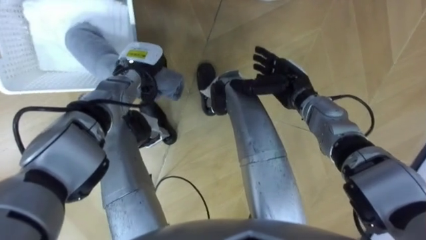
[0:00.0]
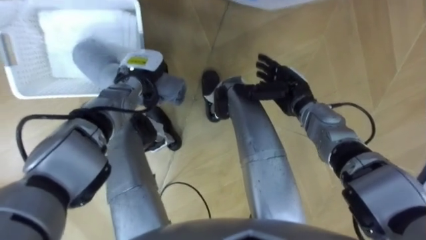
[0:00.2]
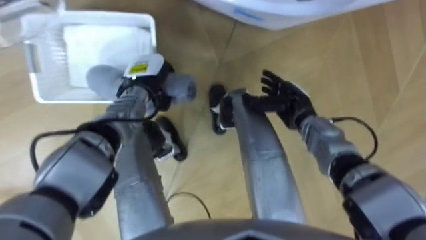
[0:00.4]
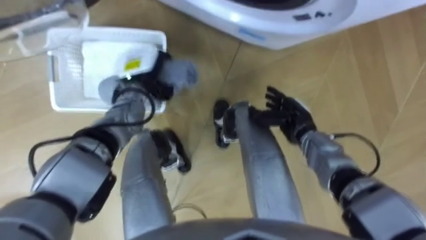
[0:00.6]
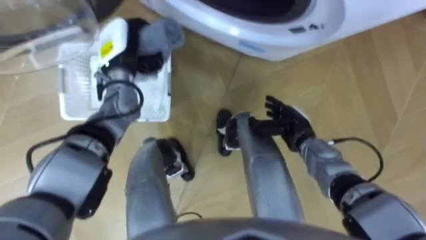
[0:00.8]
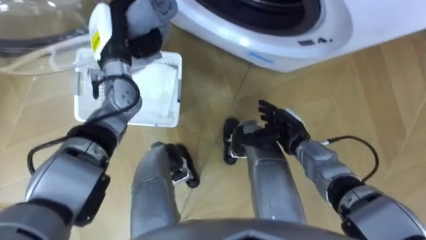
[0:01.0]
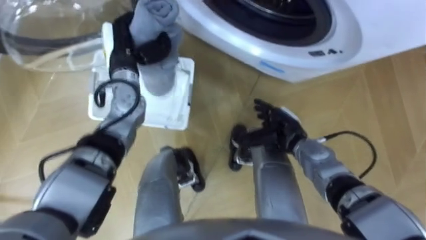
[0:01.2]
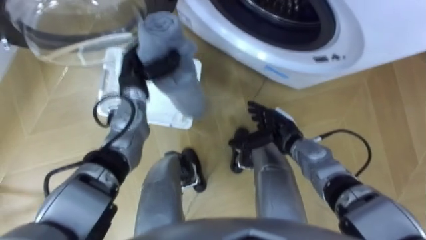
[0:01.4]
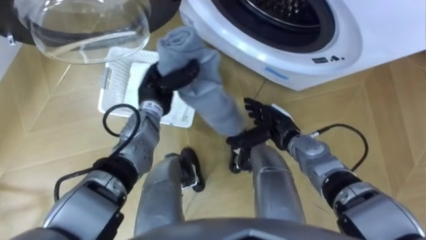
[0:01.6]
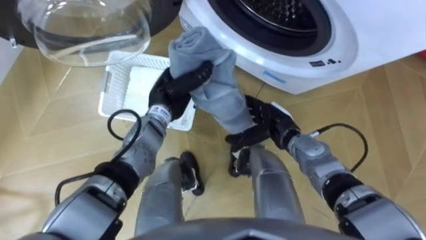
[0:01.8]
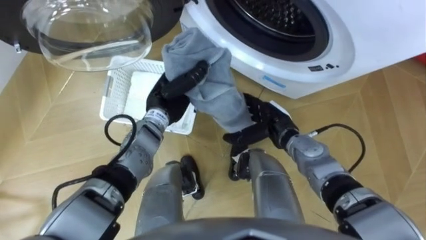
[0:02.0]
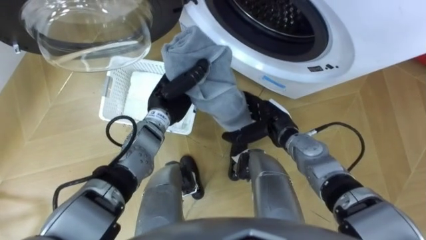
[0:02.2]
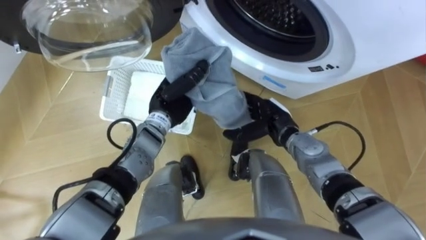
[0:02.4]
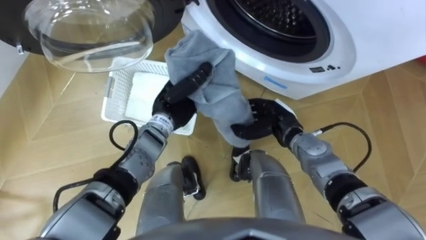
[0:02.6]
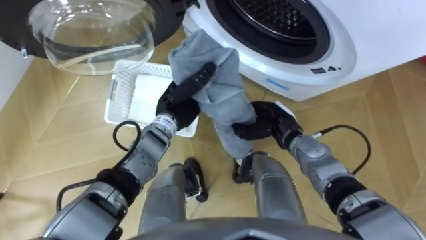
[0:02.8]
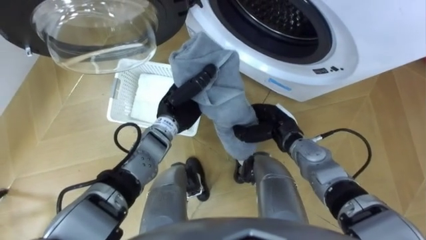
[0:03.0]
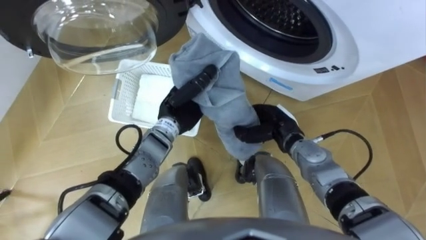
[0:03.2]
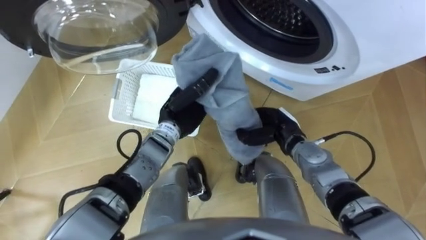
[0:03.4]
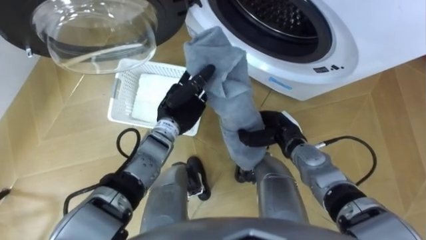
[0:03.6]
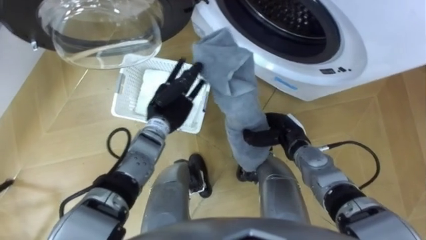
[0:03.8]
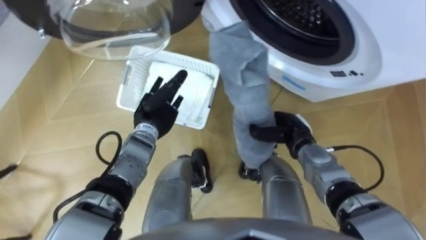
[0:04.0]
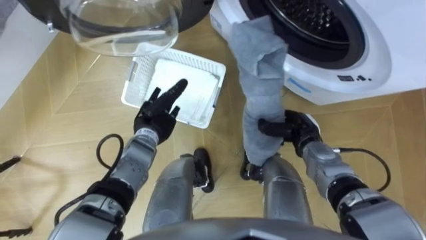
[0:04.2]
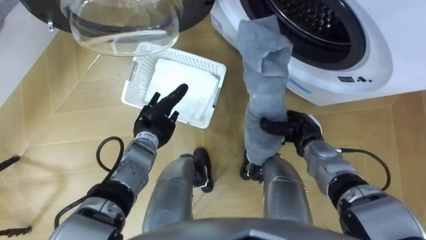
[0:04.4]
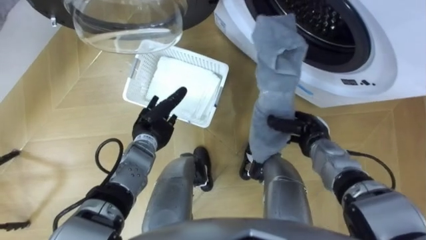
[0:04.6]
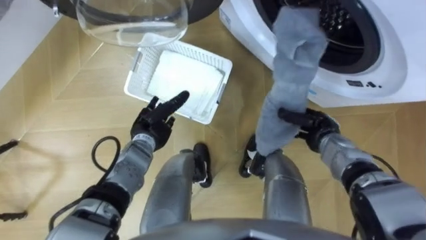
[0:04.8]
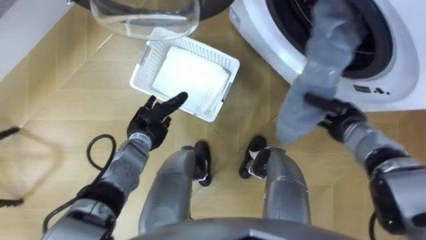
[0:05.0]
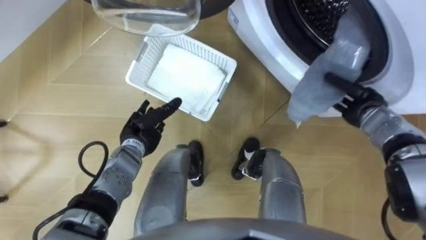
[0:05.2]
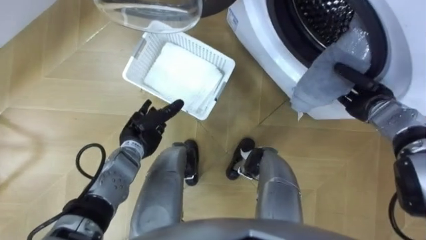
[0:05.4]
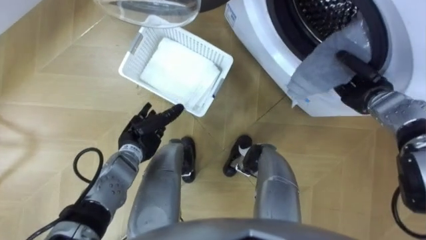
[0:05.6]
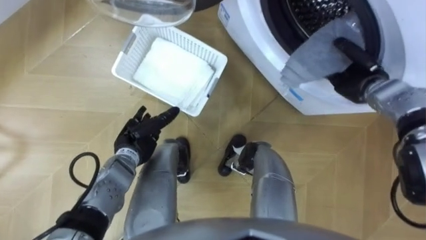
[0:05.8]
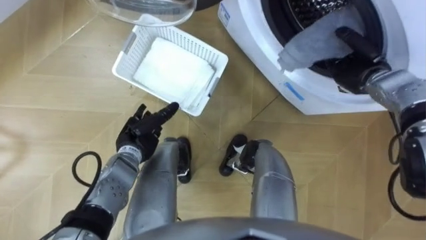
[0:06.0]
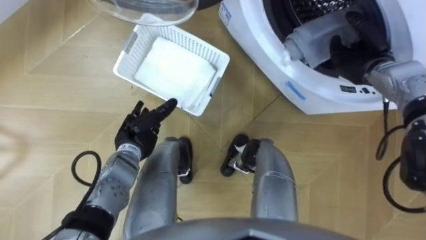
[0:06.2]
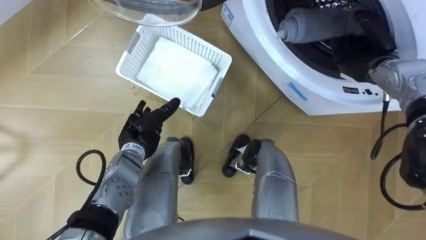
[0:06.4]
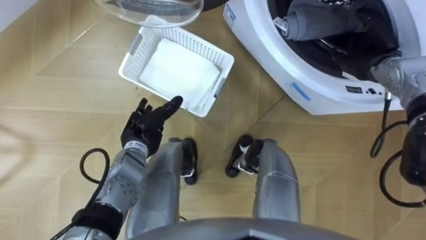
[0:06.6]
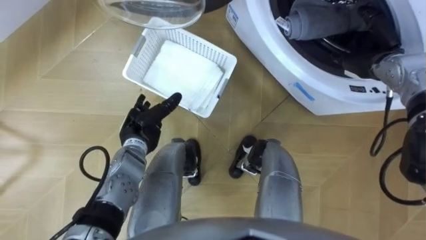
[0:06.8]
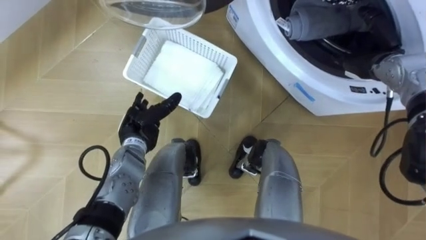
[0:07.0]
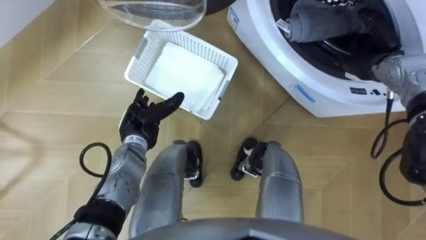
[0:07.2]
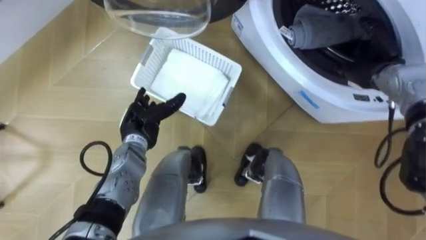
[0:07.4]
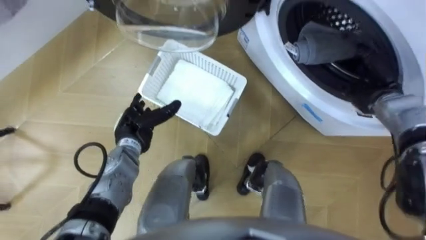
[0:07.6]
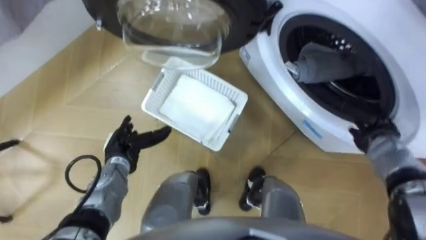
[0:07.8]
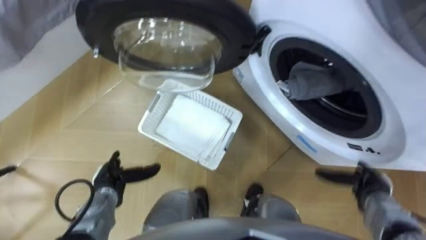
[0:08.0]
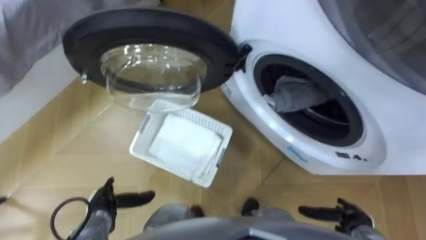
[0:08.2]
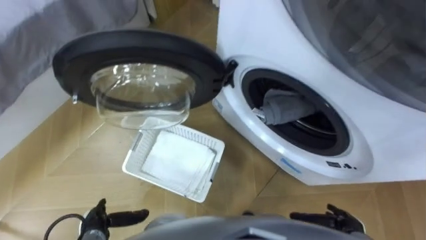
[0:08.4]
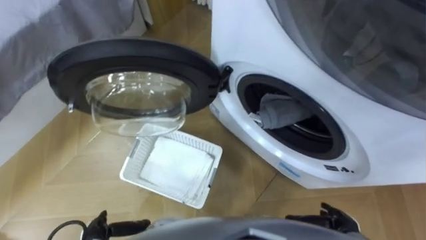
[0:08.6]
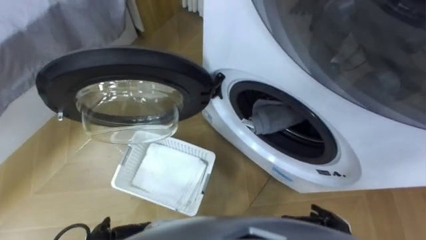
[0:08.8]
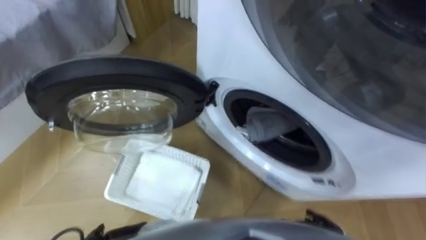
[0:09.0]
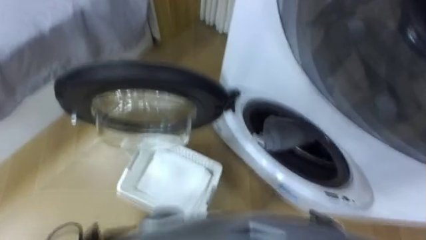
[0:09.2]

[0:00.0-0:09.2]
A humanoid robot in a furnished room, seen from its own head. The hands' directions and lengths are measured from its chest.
Task of the whole recording: Take the towel from the basket and put it into the washing machine.
0:00.0 to 0:01.6: The left hand goes upward and returns, roughly 10 cm each way, while the right hand shifts approximately 10 cm backward and downward.
0:01.6 to 0:03.0: The right hand closes. Meanwhile the left hand heads to the right, covering some 5 cm.
0:03.0 to 0:04.6: The right hand goes approximately 10 cm to the right, while the left hand travels to the left and downward by about 10 cm, and opens up.
0:04.6 to 0:06.2: The right hand goes approximately 20 cm upward, forward and to the right, and opens up.
0:06.2 to 0:07.6: The right hand ends up roughly 5 cm from where it was.

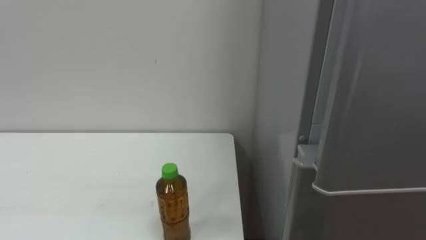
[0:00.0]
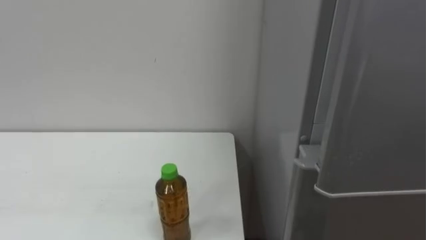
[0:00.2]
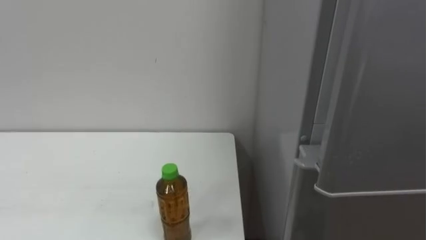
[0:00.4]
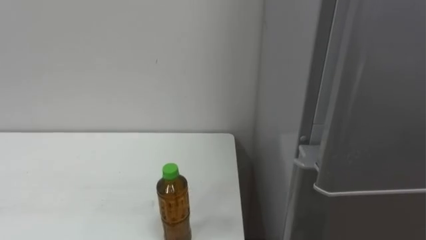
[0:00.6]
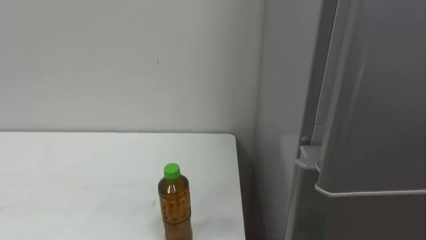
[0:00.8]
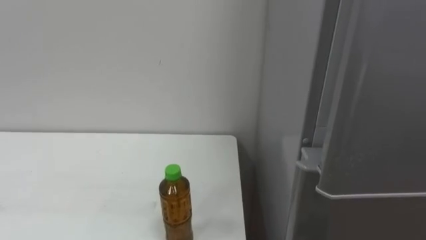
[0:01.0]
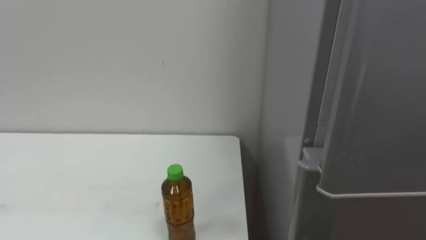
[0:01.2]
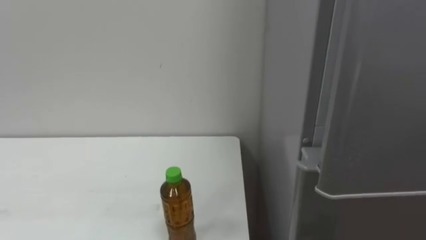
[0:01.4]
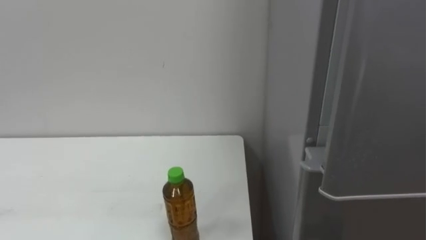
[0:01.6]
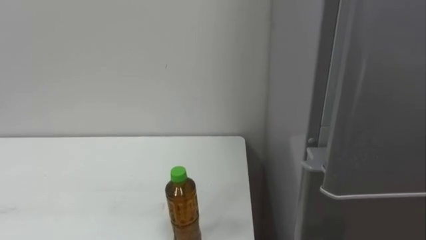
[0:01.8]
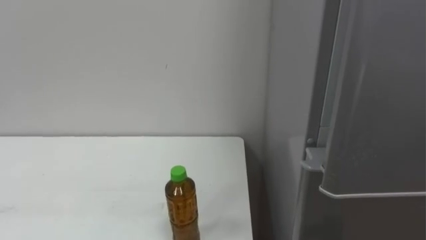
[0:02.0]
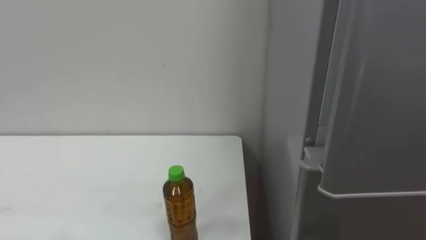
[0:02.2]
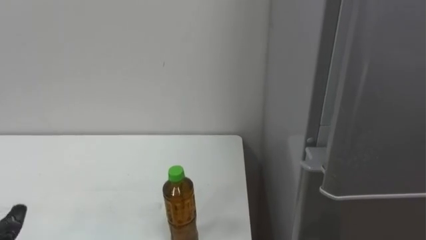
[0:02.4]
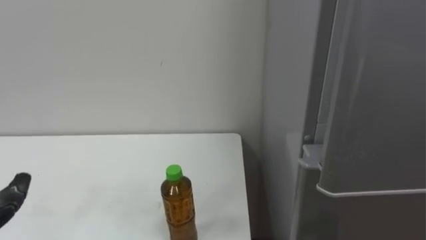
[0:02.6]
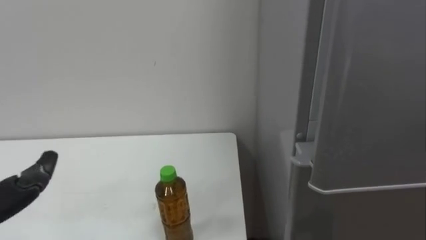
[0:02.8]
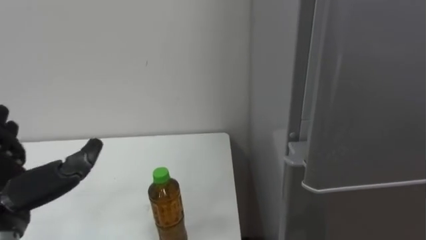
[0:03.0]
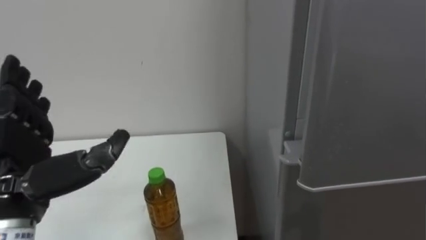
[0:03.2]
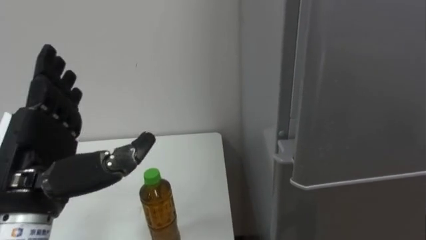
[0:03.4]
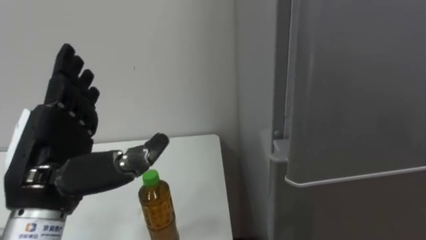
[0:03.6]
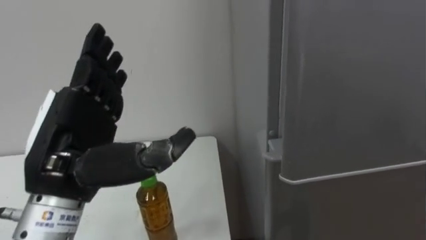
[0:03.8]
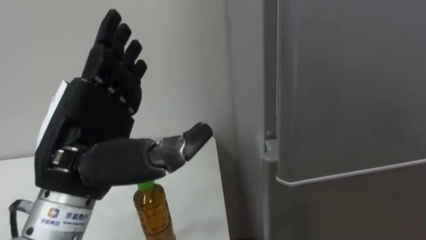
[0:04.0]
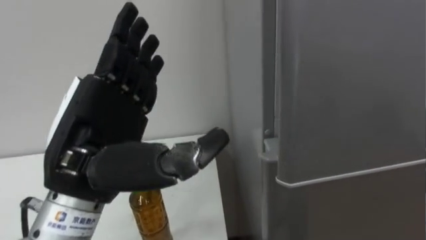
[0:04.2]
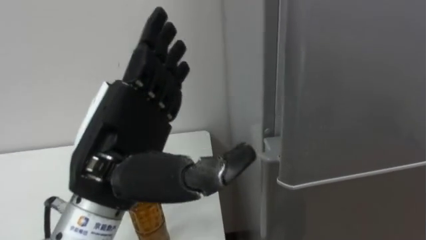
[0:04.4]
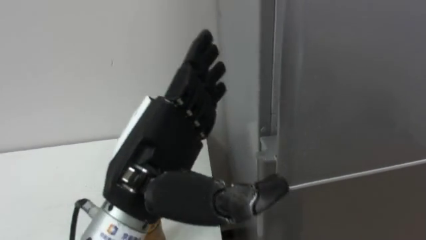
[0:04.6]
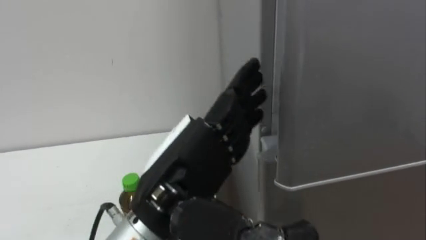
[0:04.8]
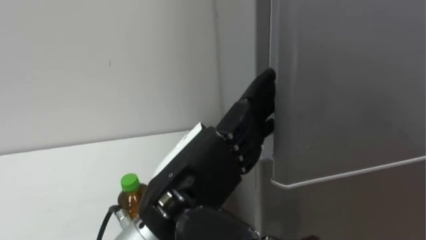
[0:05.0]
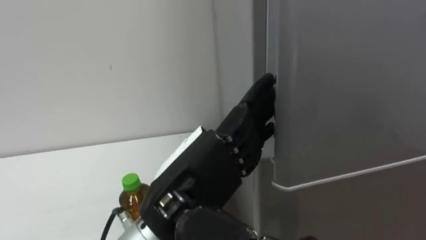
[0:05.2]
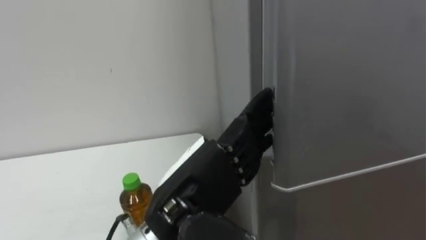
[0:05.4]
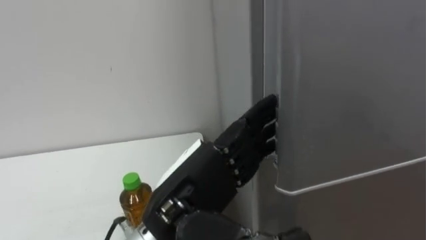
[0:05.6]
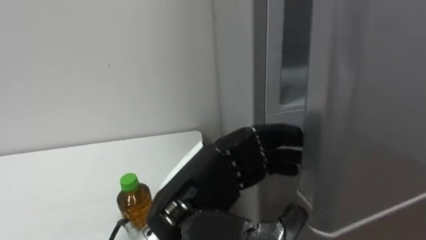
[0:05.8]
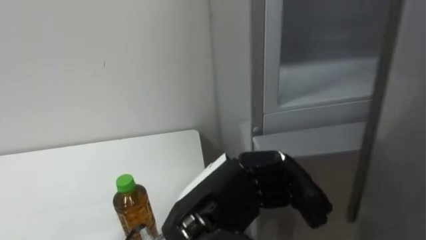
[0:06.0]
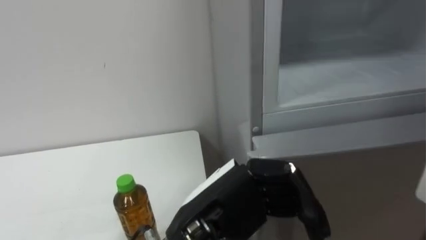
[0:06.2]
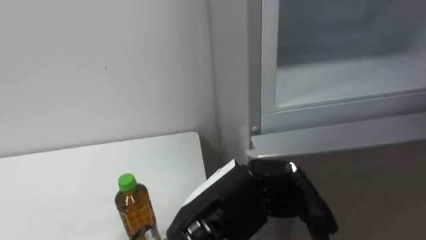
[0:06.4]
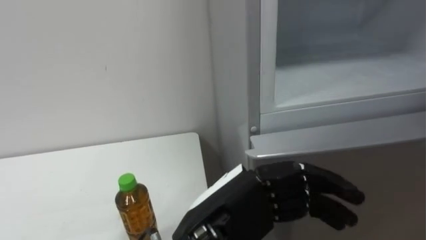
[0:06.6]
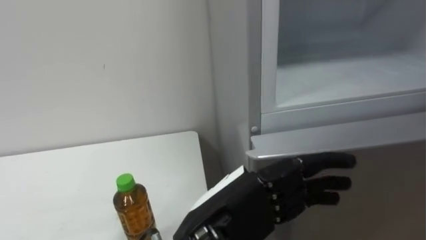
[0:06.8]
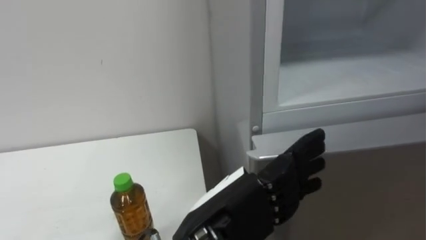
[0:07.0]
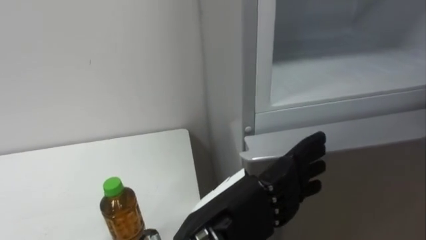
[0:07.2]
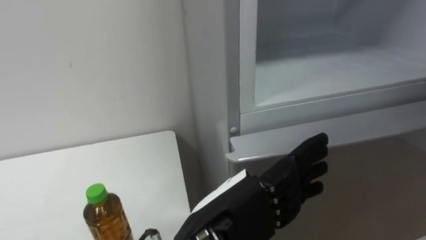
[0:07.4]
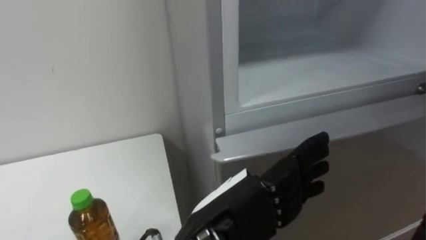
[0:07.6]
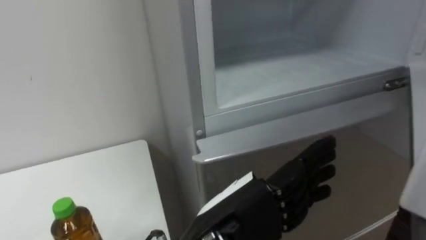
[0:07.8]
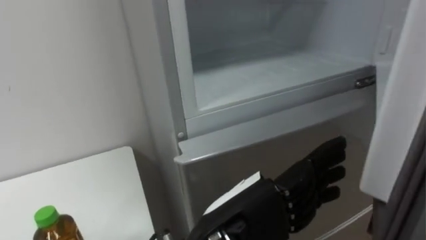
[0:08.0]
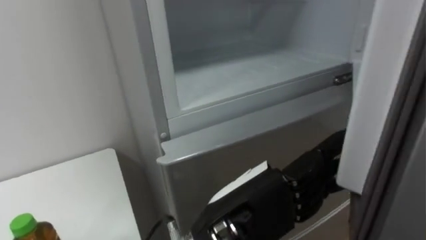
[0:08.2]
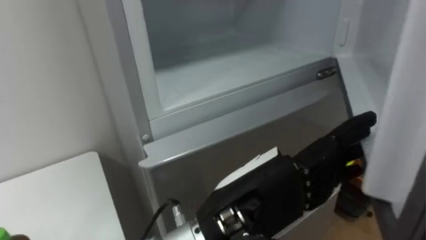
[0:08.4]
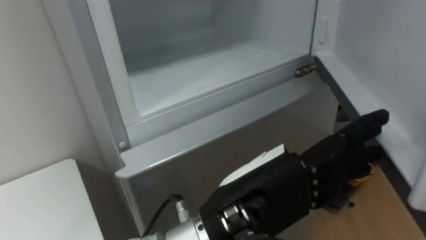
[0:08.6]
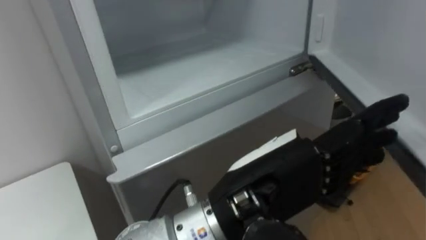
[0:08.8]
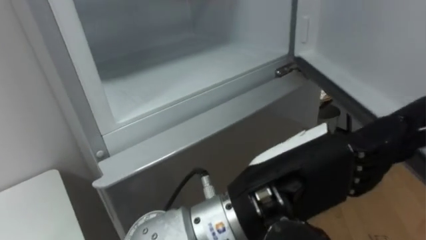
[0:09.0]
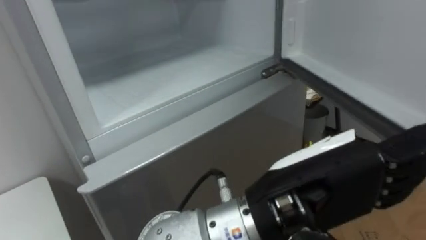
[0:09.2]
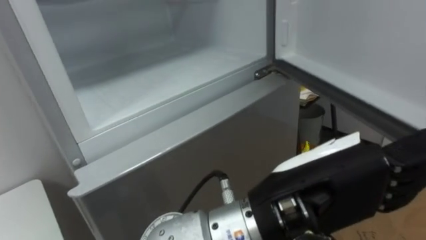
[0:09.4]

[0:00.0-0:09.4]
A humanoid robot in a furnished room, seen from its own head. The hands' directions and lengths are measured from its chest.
Task of the whole recording: Open the upper refrigerator door, put the drink from the table into the refrigerator, and then close the refrigerator door.
0:03.2 to 0:04.8: The left hand is displaced to the right by roughly 20 cm.
0:04.8 to 0:06.2: The left hand shifts by about 5 cm, and closes.
0:06.2 to 0:07.8: The left hand opens up.
0:07.8 to 0:09.4: The left hand heads upward and to the right, covering about 10 cm.
